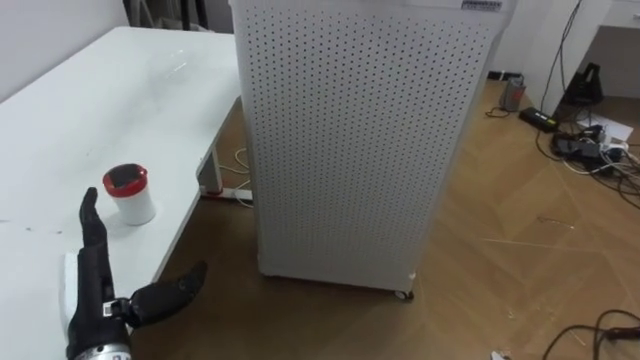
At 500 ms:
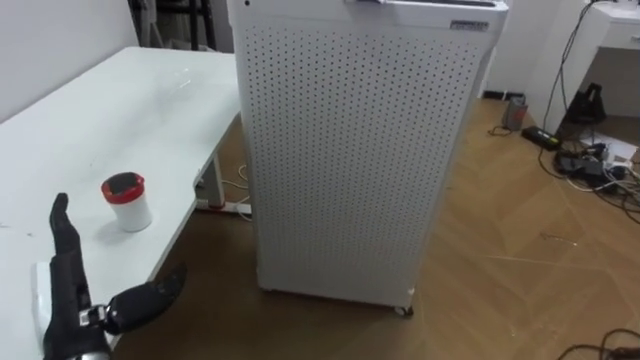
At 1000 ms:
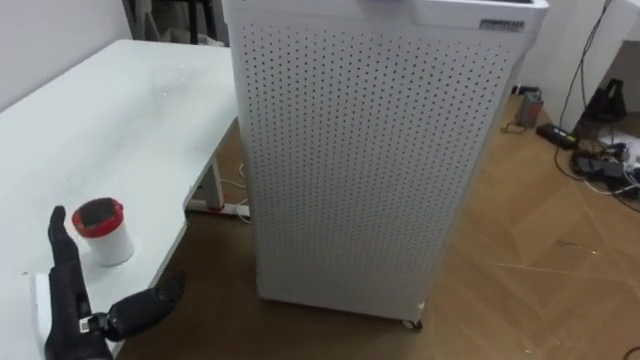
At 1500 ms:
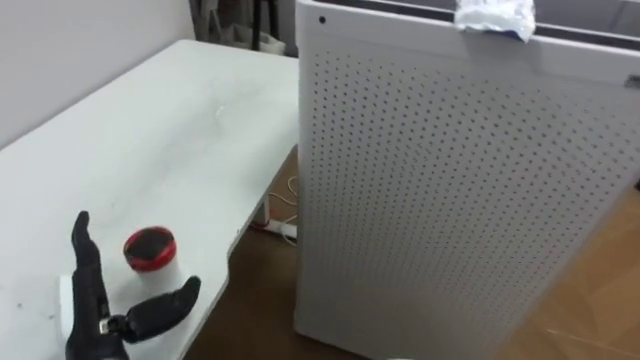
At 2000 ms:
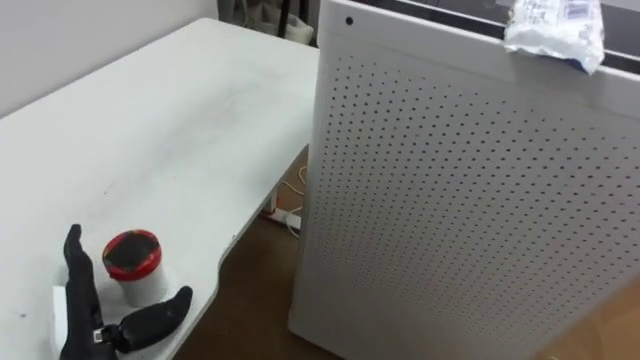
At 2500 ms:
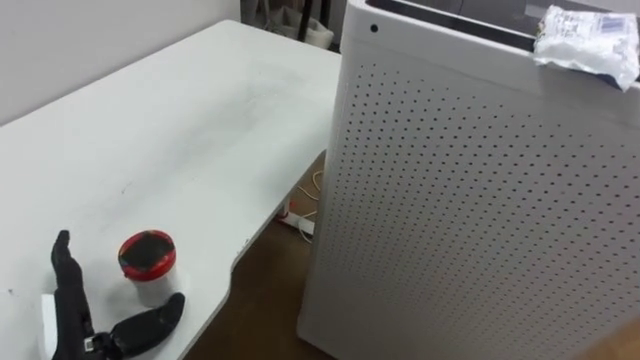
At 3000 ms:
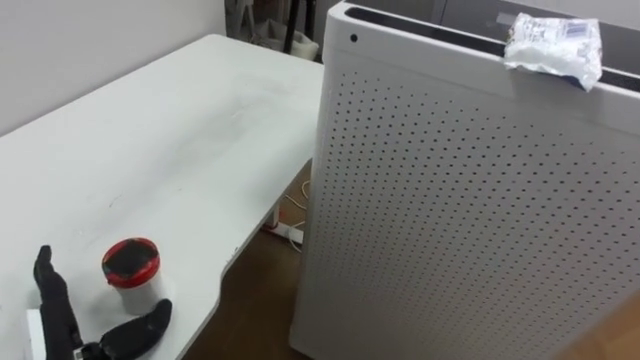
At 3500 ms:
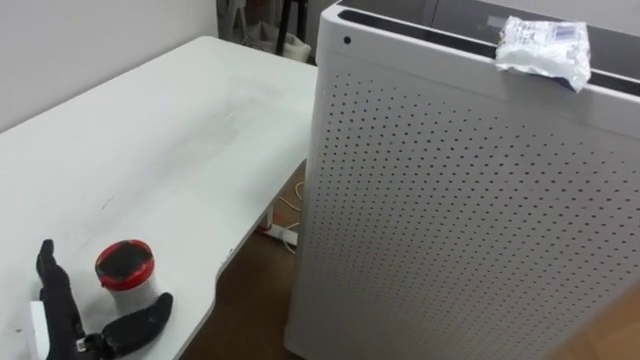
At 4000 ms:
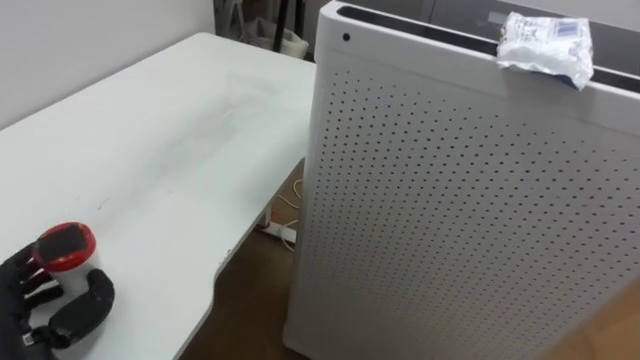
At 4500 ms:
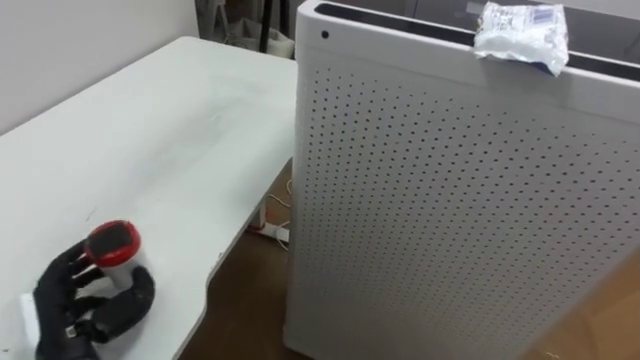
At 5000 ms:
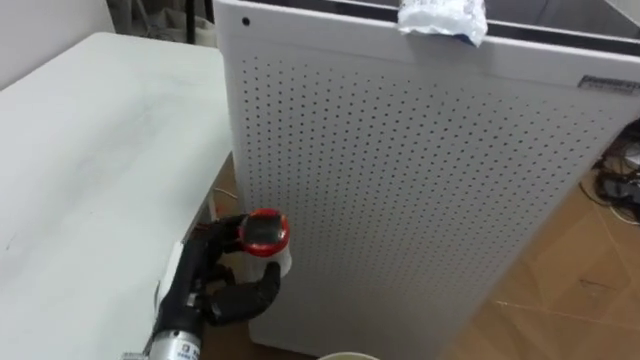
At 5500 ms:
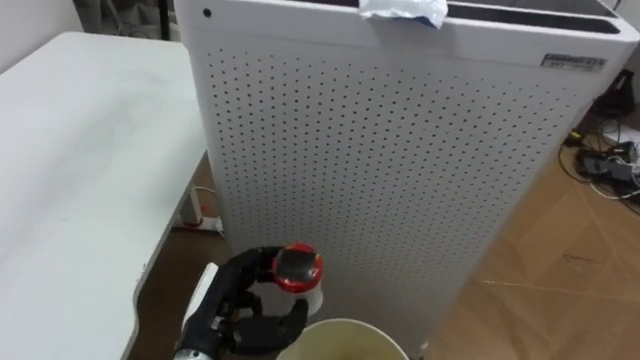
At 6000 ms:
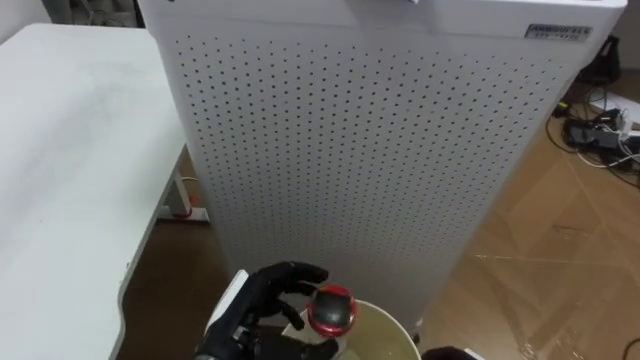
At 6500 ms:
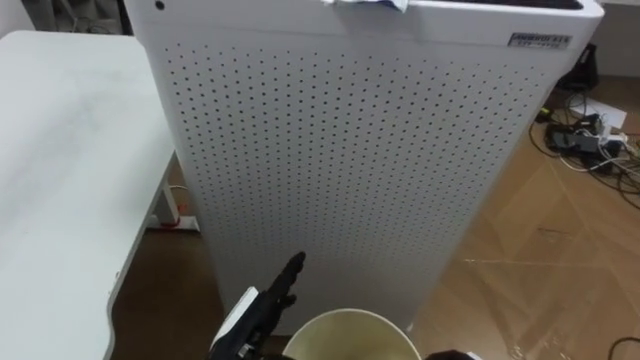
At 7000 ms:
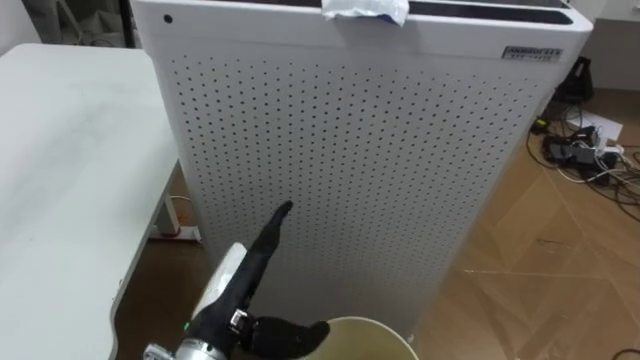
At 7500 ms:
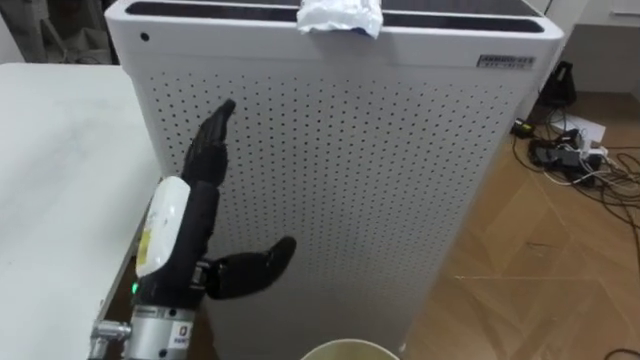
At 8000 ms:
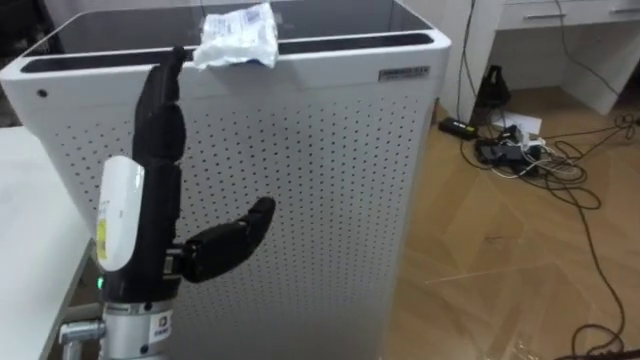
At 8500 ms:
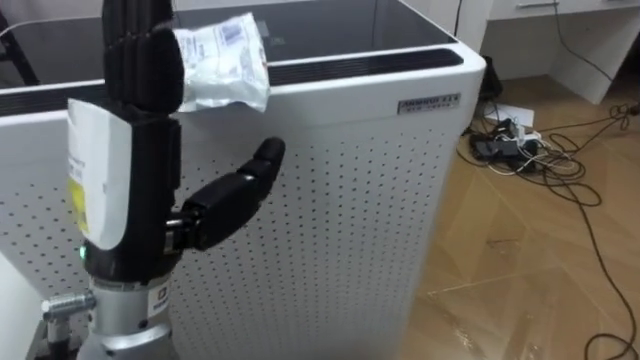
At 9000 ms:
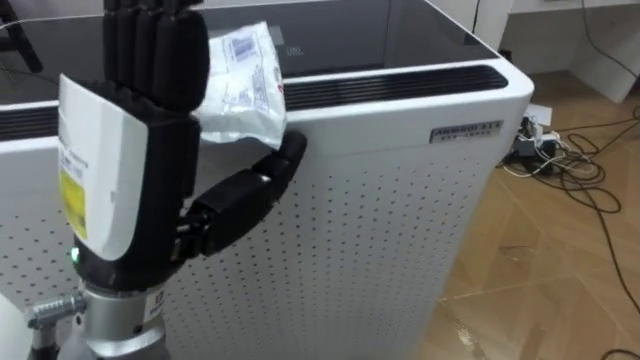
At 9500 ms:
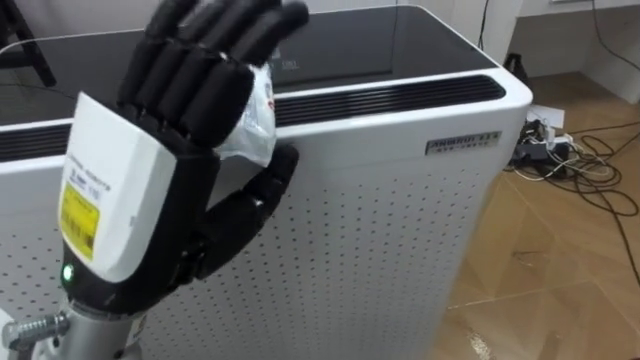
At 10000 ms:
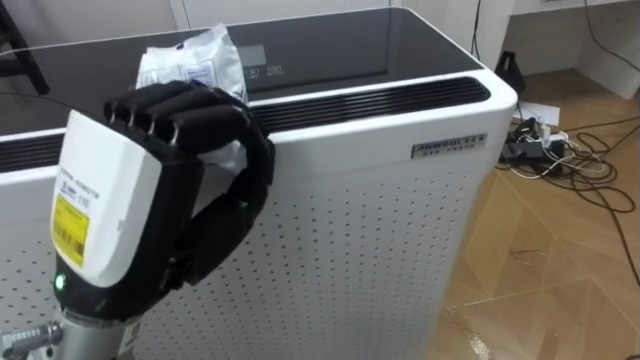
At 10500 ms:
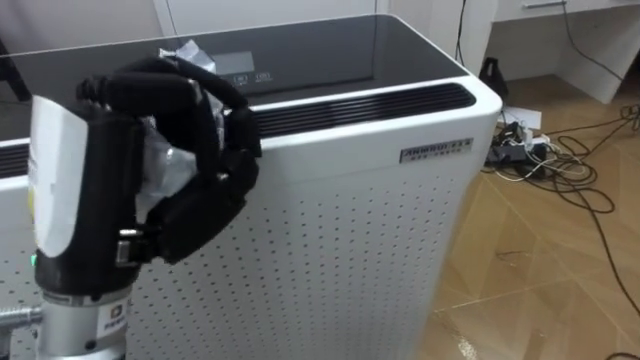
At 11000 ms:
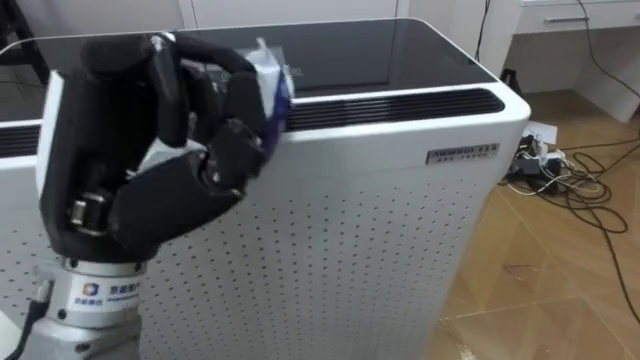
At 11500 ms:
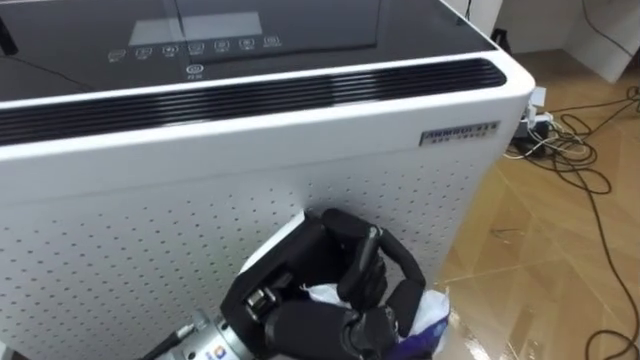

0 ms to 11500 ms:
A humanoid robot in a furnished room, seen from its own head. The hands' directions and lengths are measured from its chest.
Task of the whole recording: Pick up the light blue package, the candy box, and the dark blue package separately, and put them into the trash can held in your right hand.
2000 ms to 4000 ms: The left hand goes about 5 cm to the left, and closes up.
4000 ms to 6000 ms: The robot rotates about 15 degrees to its right. The left hand travels to the right by roughly 20 cm.
6000 ms to 7500 ms: The left hand travels upward by roughly 15 cm, and opens.
7500 ms to 9500 ms: The left hand heads upward and backward, covering about 15 cm.
9500 ms to 11500 ms: The left hand travels downward and to the right by some 15 cm, and closes its fingers.

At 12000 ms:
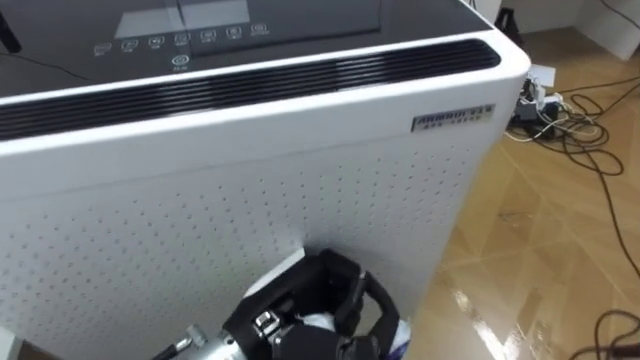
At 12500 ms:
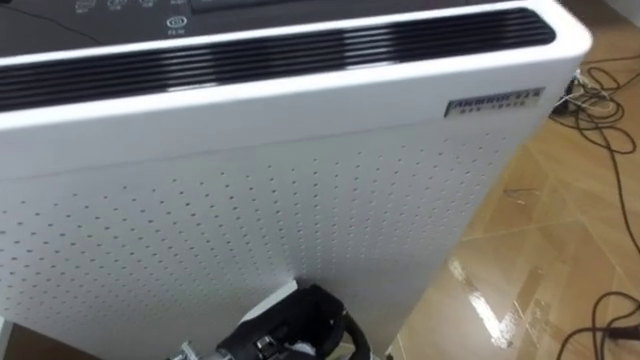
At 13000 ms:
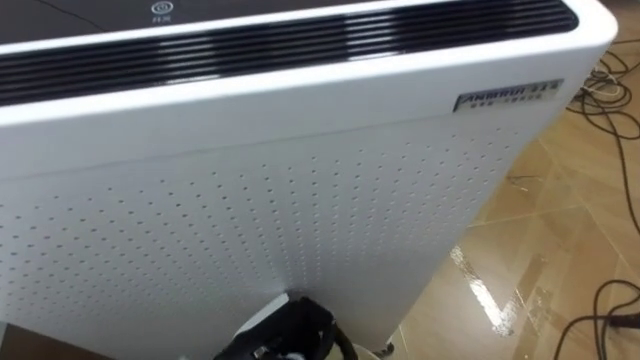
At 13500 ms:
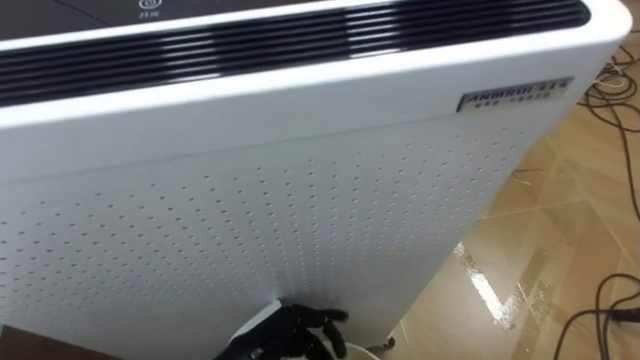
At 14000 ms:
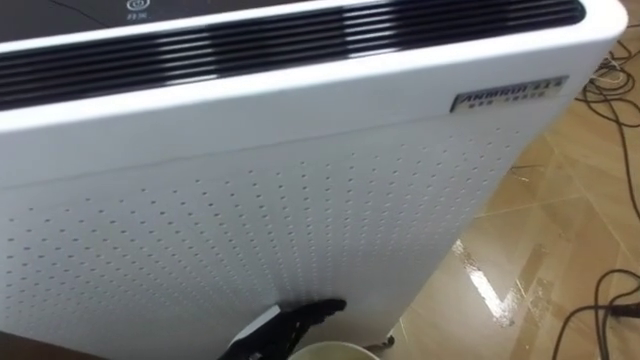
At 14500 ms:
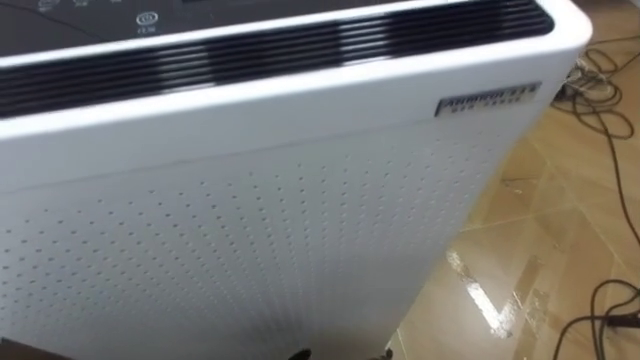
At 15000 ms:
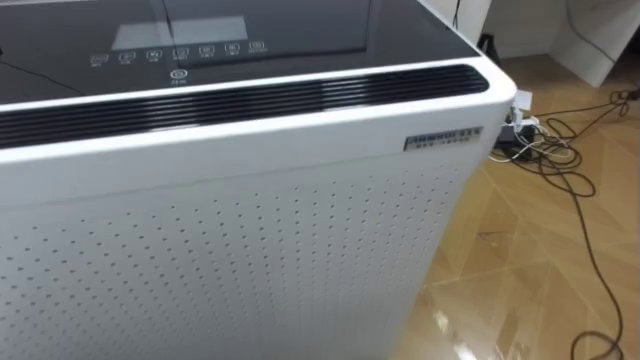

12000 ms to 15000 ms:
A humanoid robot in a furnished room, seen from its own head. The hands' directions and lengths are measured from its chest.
Task of the whole recording: Pick up the light blue package, the candy box, and the dark blue package separately, and put them into the trash can held in your right hand.
12000 ms to 13500 ms: The left hand shifts roughly 10 cm downward, and opens its fingers.

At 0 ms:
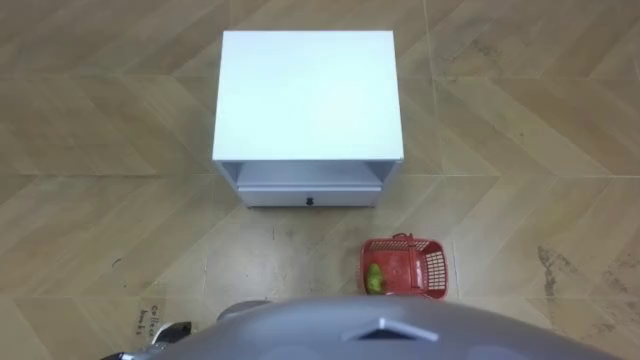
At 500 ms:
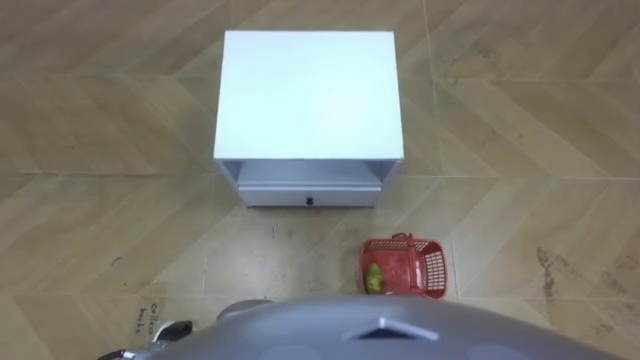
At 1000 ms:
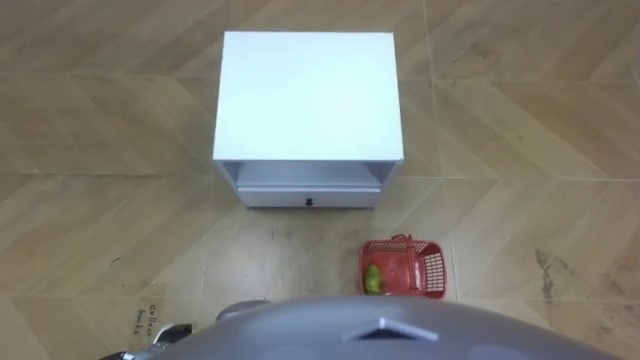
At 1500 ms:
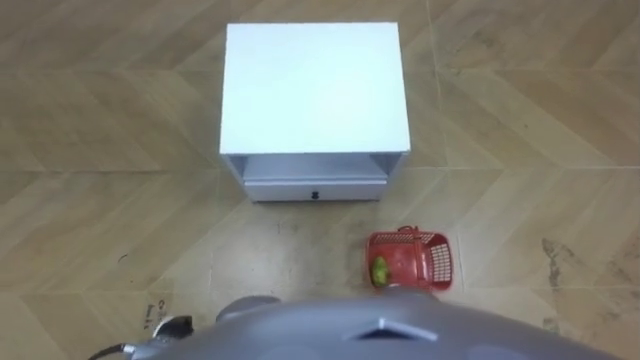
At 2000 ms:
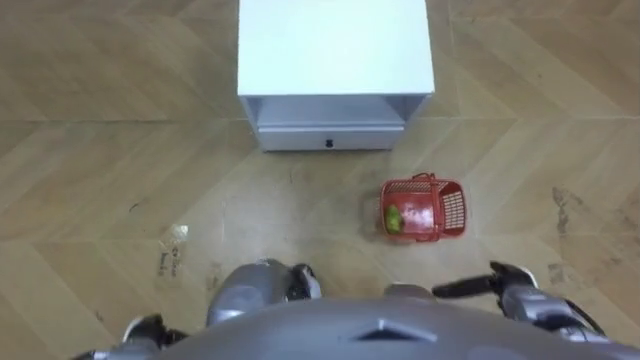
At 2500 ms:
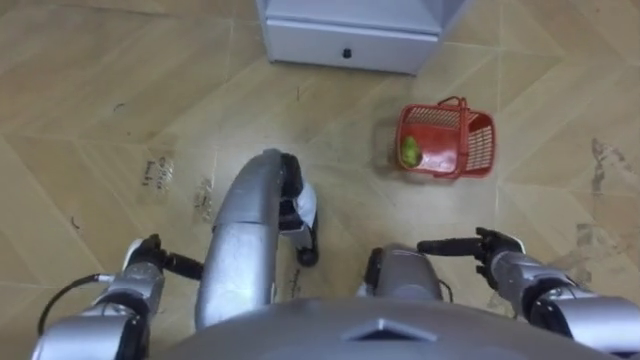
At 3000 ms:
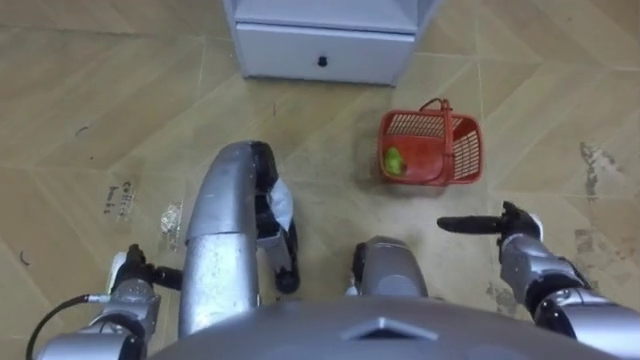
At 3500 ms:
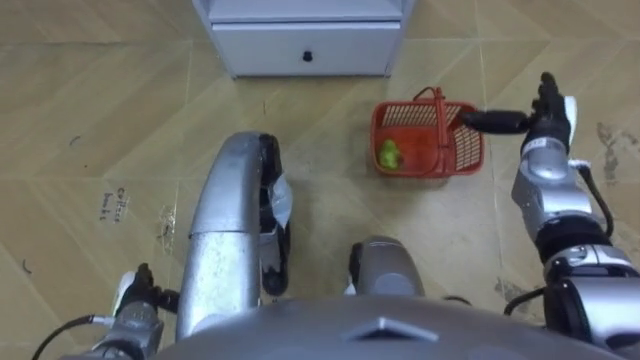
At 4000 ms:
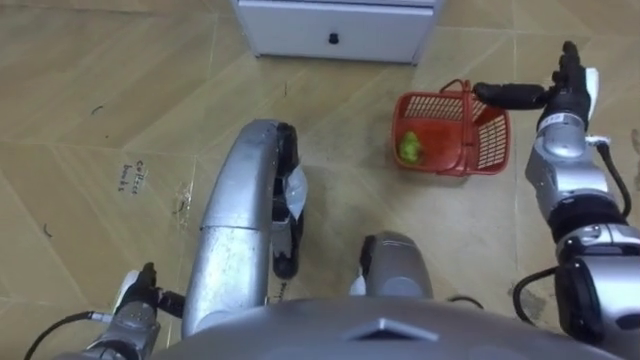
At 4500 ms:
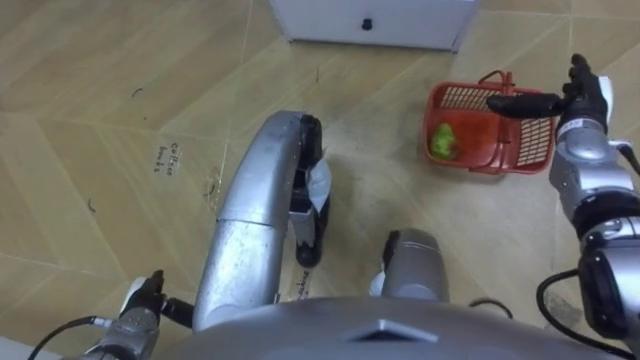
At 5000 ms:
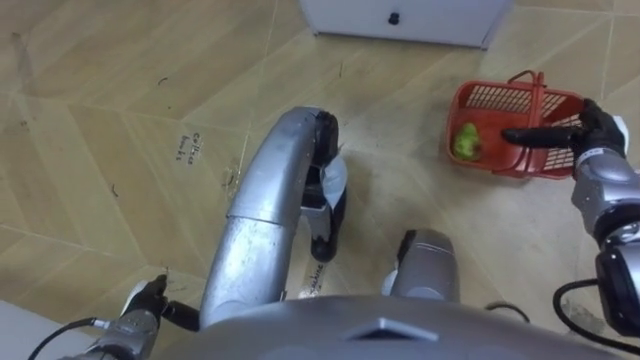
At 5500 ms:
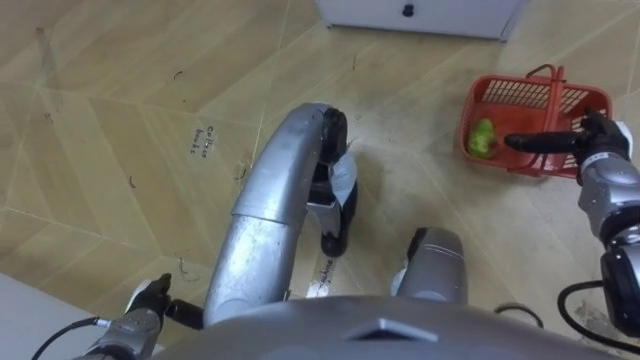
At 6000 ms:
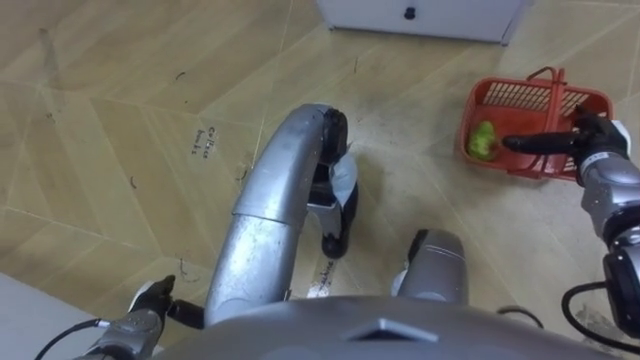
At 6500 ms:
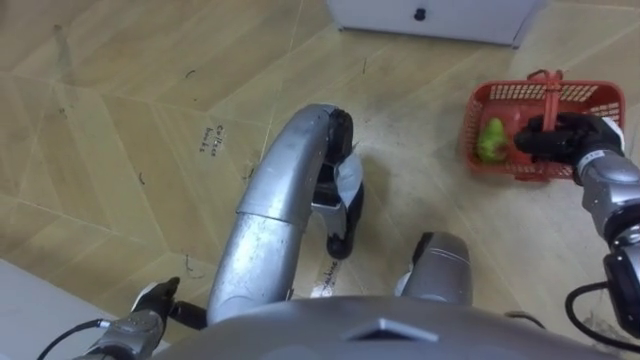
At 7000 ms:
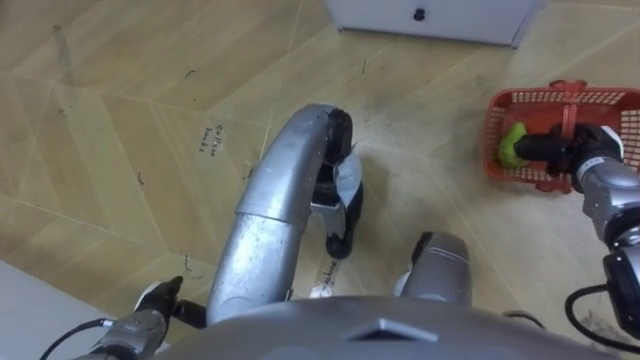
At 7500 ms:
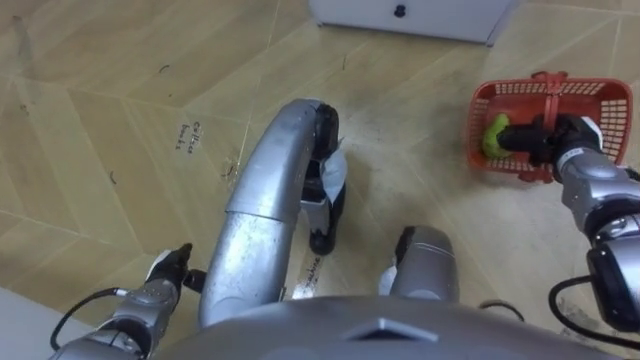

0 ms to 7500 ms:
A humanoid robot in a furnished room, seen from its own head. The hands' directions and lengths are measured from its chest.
Task of the whole recording: Pick up the fruit basket from the floor and place it on the cabinet.
2000 ms to 4000 ms: The left hand travels forward by about 5 cm. The right hand travels forward and upward by some 30 cm.
4000 ms to 5500 ms: The right hand heads to the right and backward, covering about 10 cm.
5500 ms to 7500 ms: The left hand shifts by approximately 5 cm. The right hand closes its fingers.
